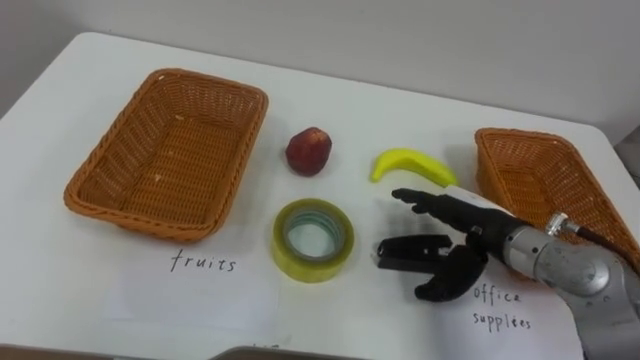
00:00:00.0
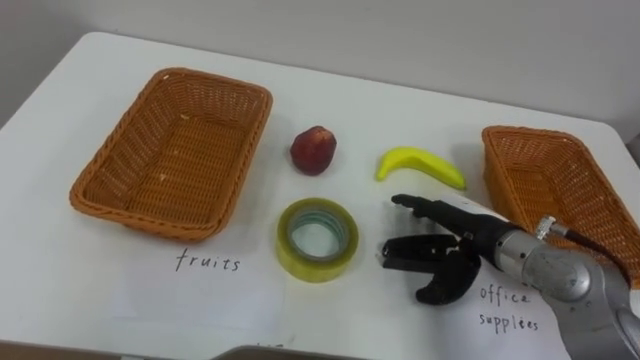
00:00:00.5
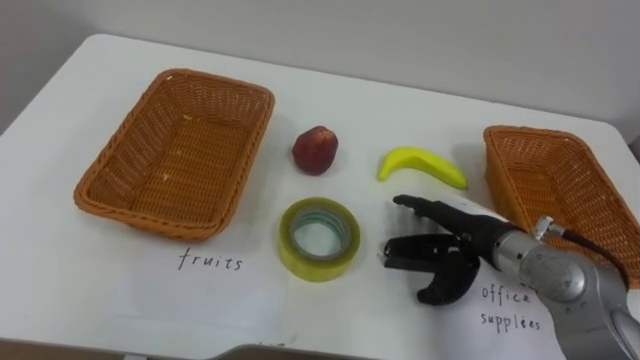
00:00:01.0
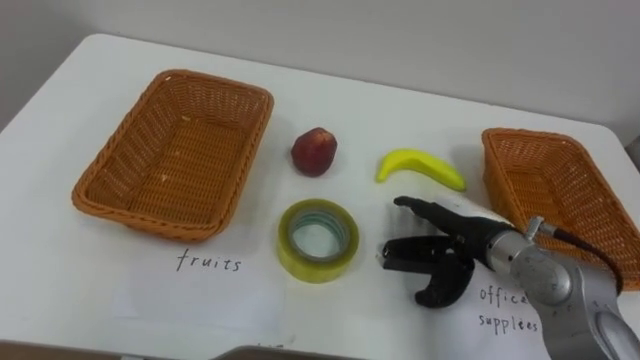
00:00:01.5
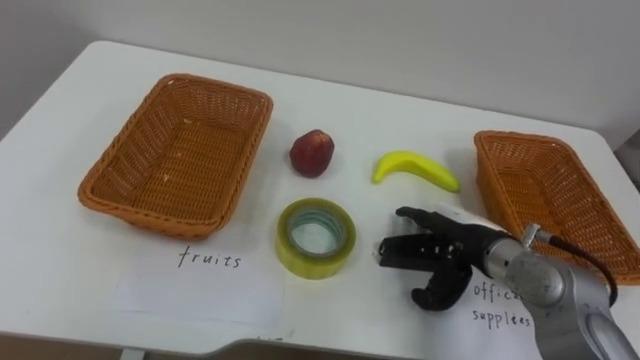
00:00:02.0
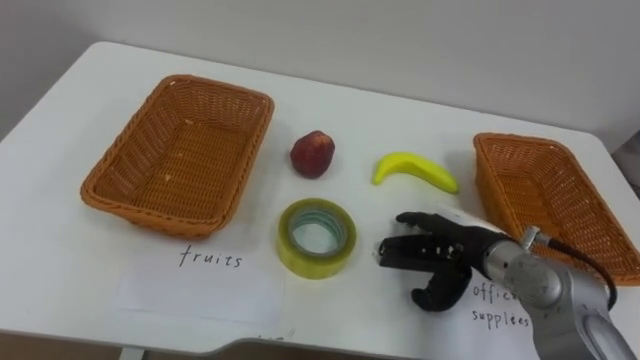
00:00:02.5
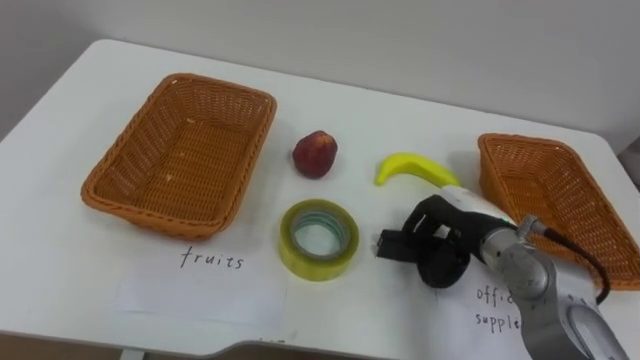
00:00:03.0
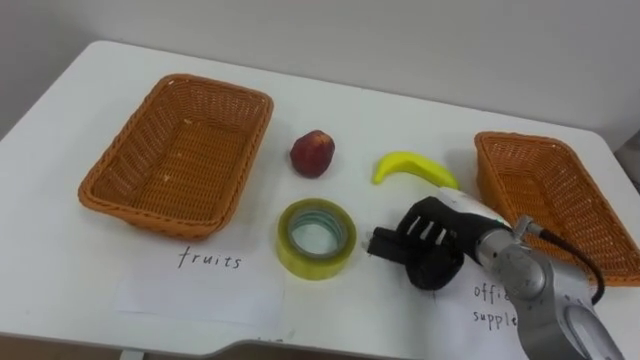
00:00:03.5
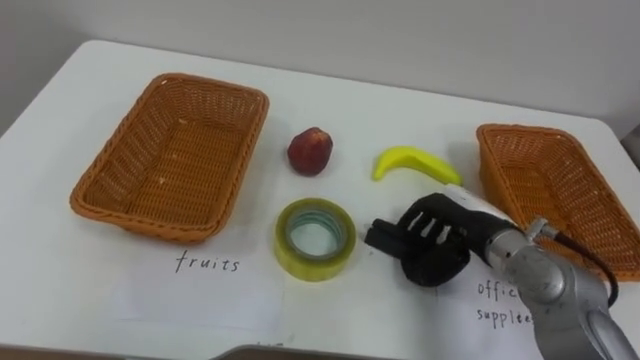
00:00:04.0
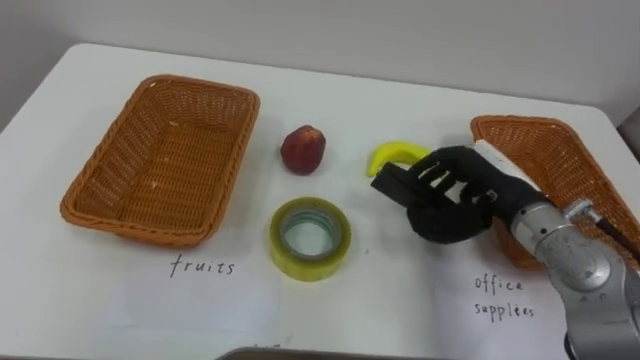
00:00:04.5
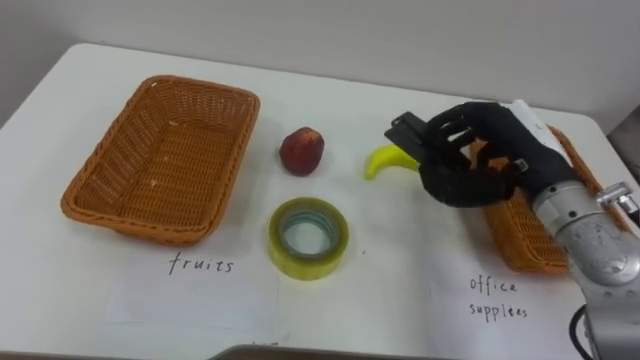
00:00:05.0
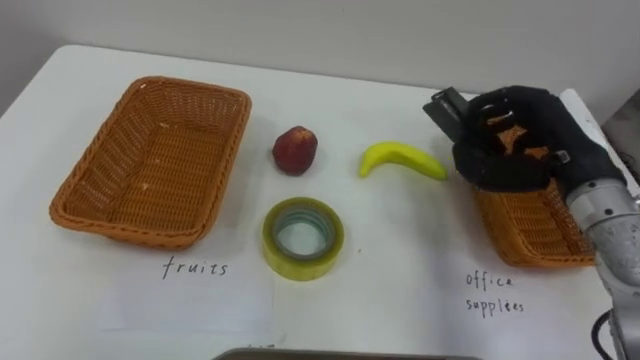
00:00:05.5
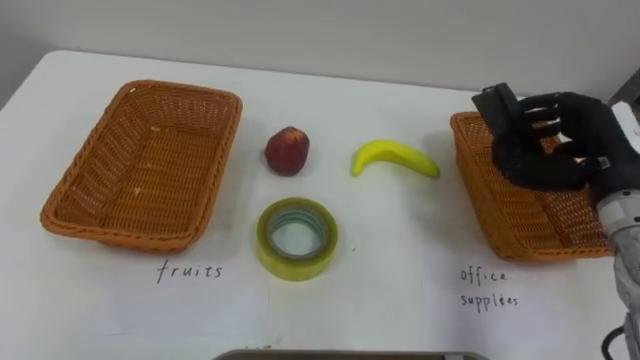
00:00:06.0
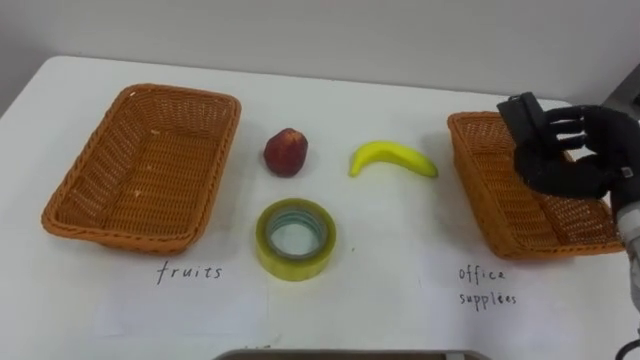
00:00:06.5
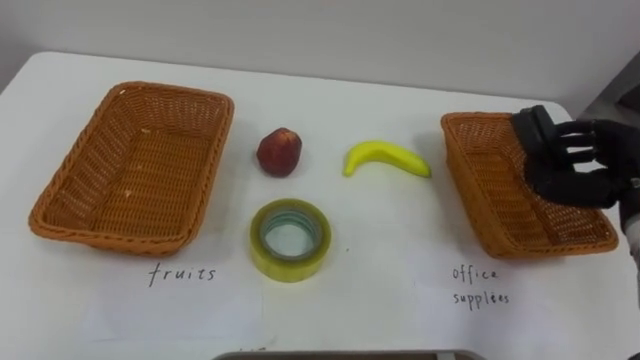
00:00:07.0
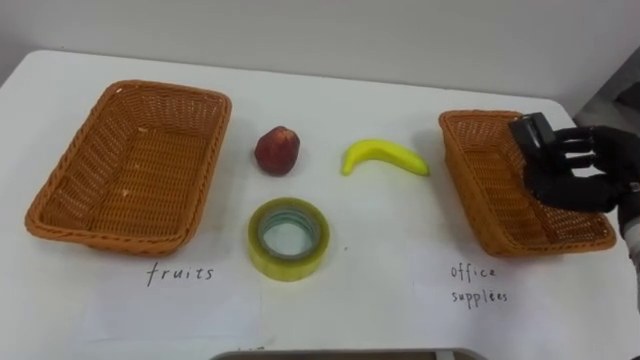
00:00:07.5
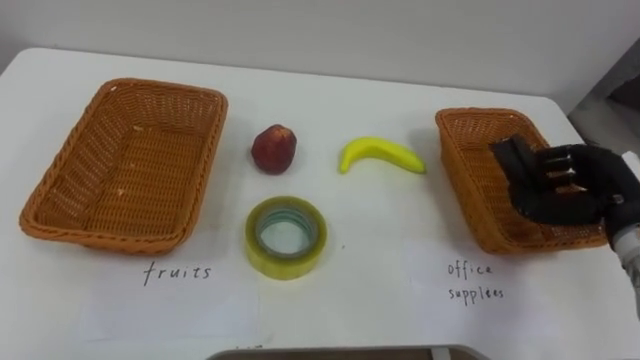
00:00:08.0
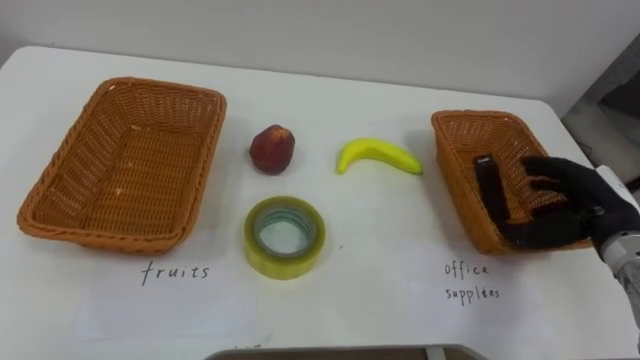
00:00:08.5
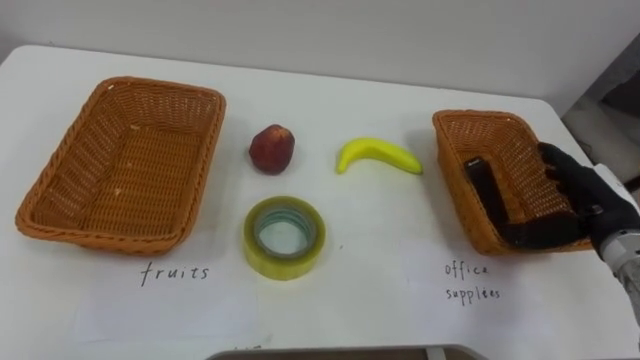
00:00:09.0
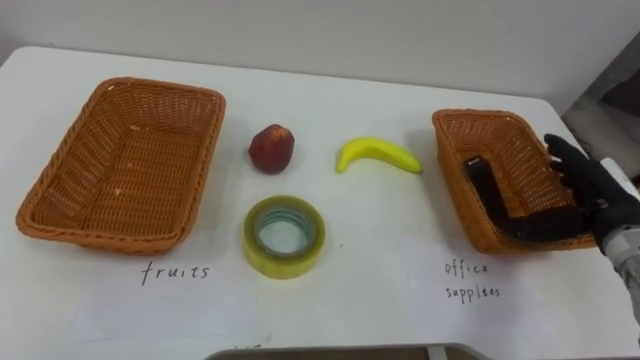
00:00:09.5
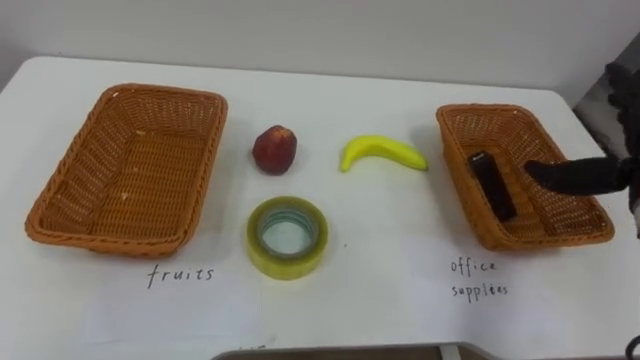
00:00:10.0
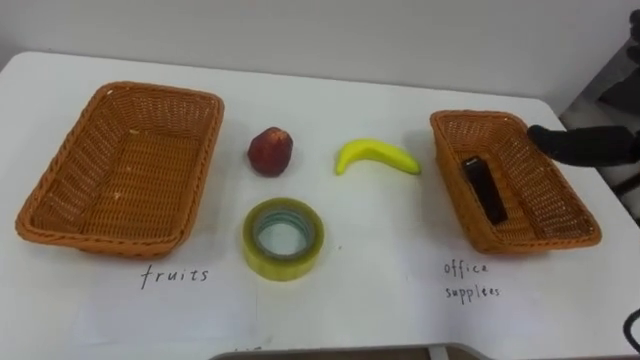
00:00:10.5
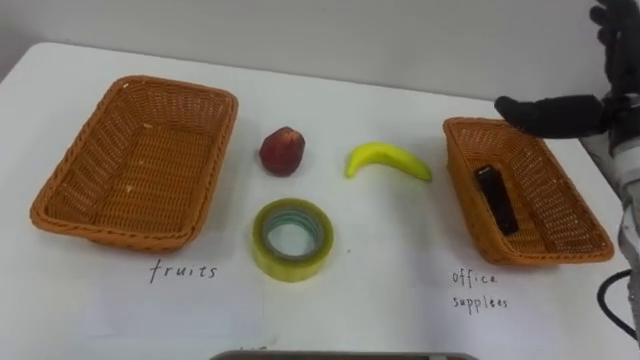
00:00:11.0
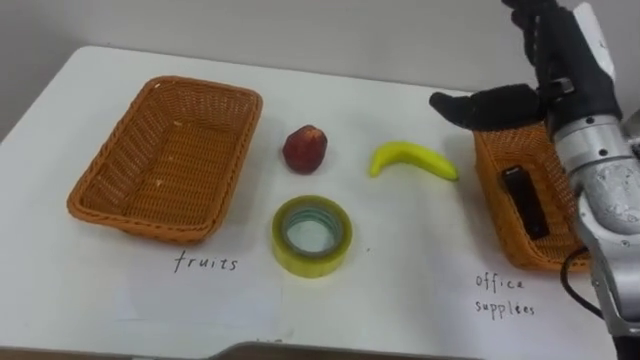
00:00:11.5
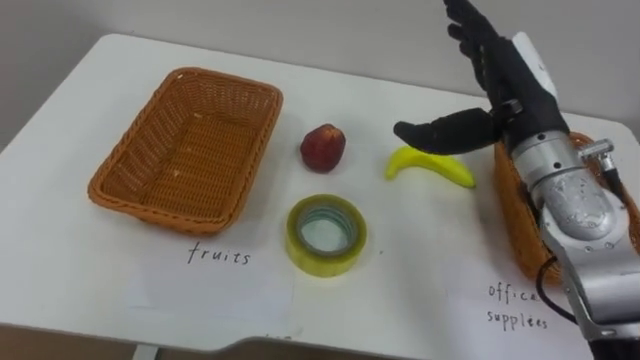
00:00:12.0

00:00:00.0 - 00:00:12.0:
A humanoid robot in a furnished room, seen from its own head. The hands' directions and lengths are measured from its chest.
Task of the whole recording: Separate the items on the table and place them into the two baskets.
00:00:02.0 - 00:00:04.0: The right hand closes.
00:00:04.0 - 00:00:06.0: The right hand goes approximately 15 cm to the right and upward.
00:00:06.0 - 00:00:08.0: The right hand moves downward, some 5 cm.

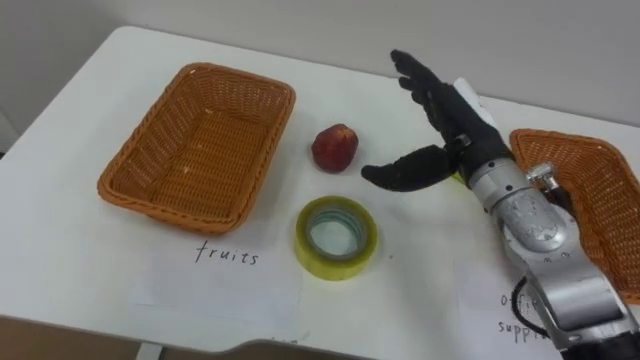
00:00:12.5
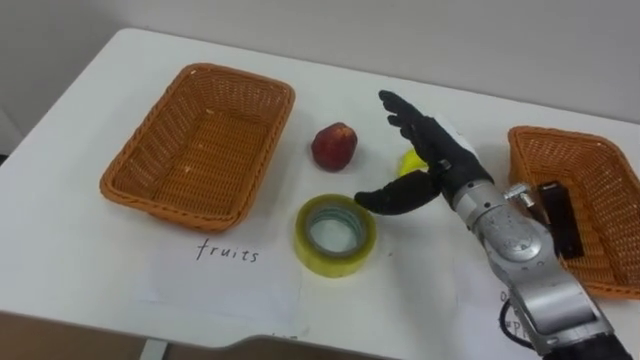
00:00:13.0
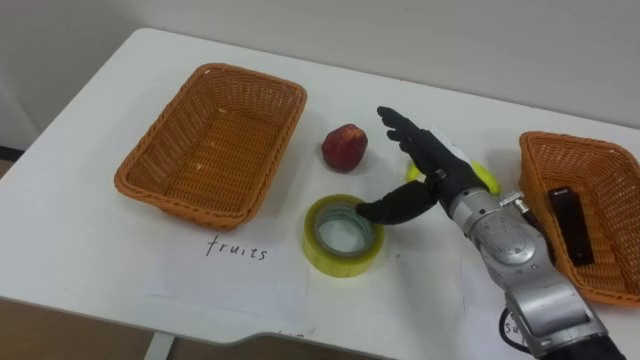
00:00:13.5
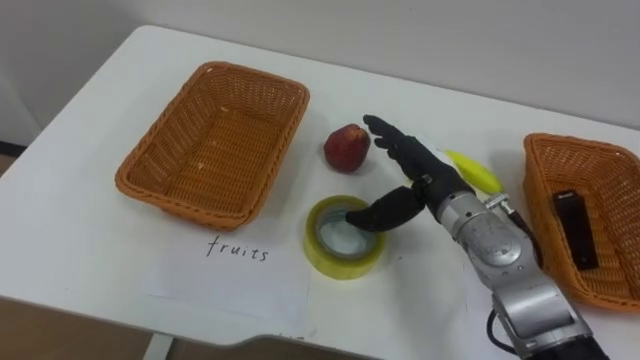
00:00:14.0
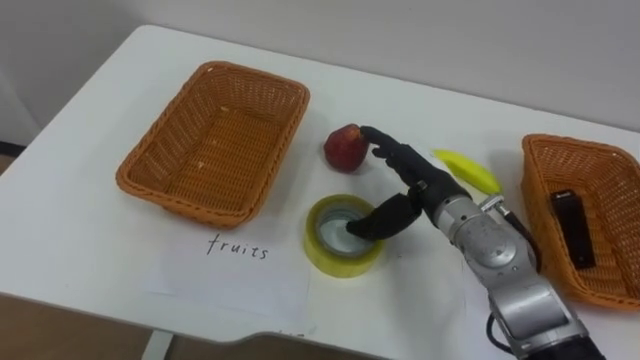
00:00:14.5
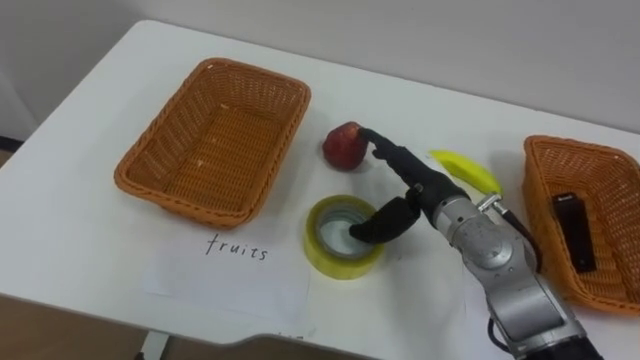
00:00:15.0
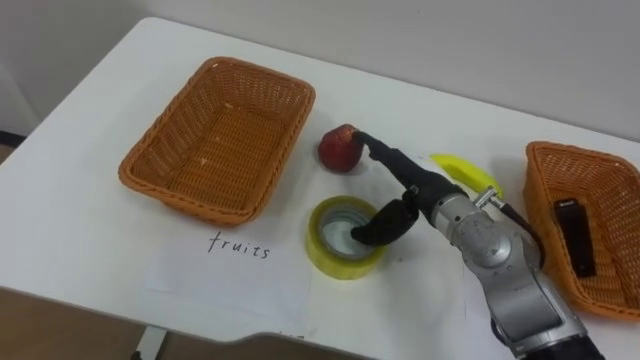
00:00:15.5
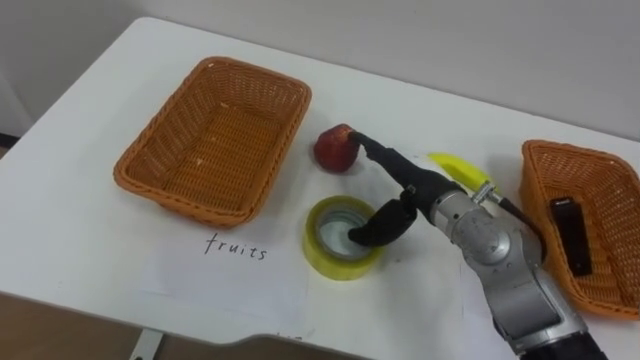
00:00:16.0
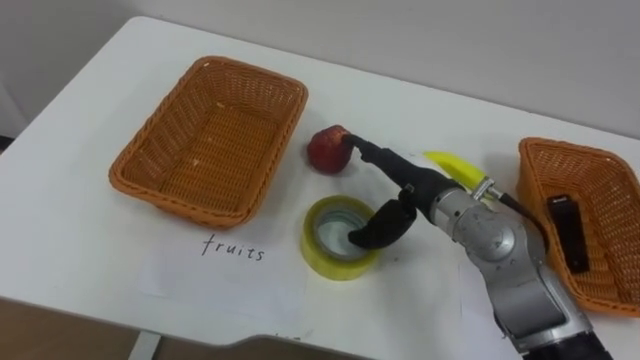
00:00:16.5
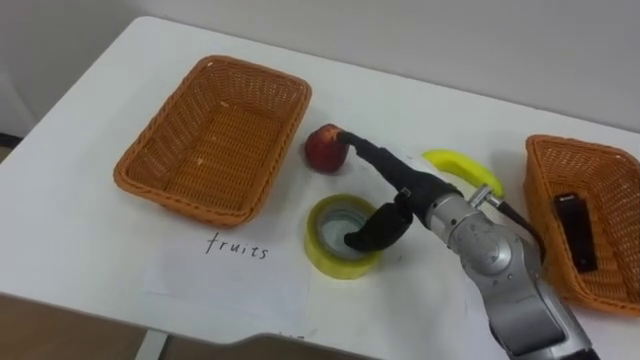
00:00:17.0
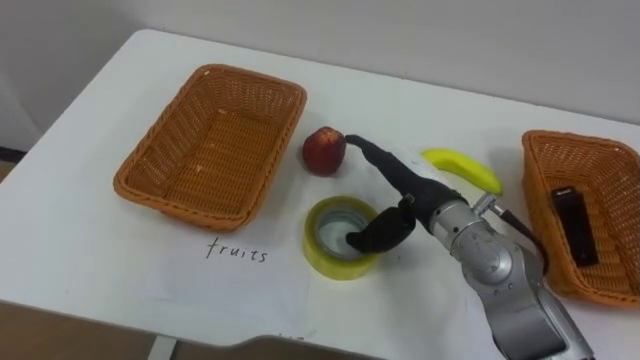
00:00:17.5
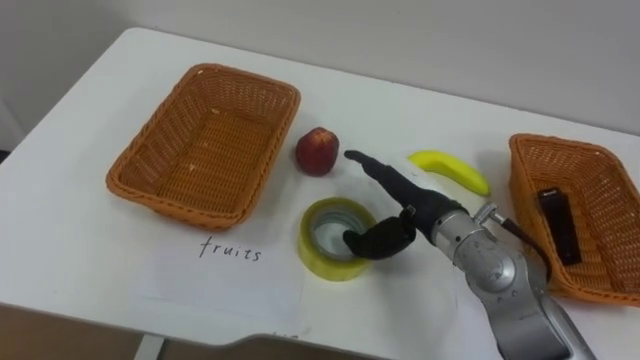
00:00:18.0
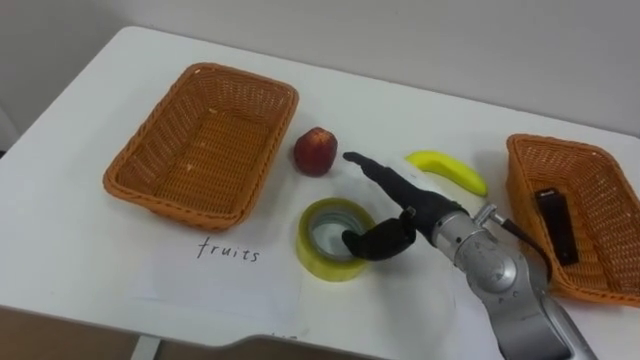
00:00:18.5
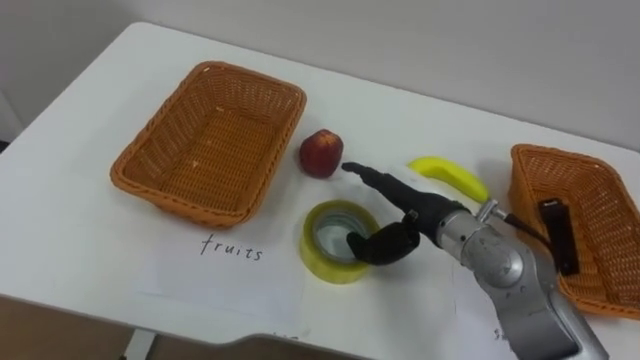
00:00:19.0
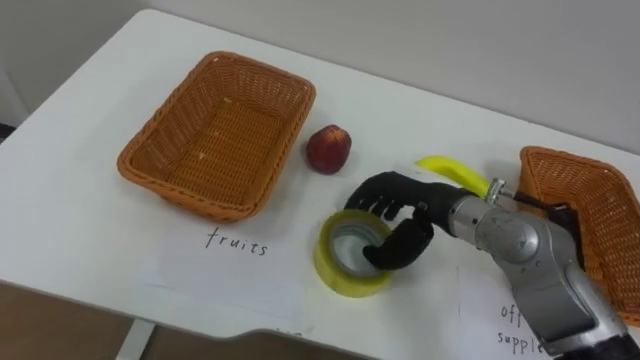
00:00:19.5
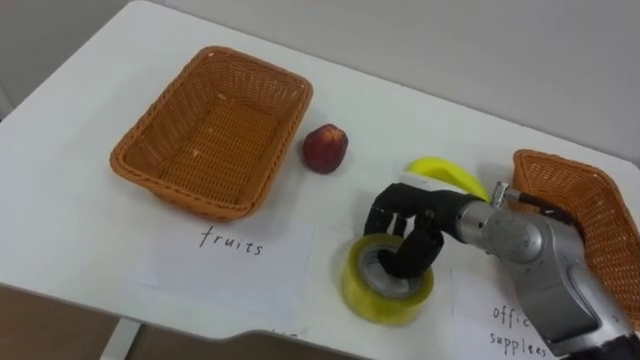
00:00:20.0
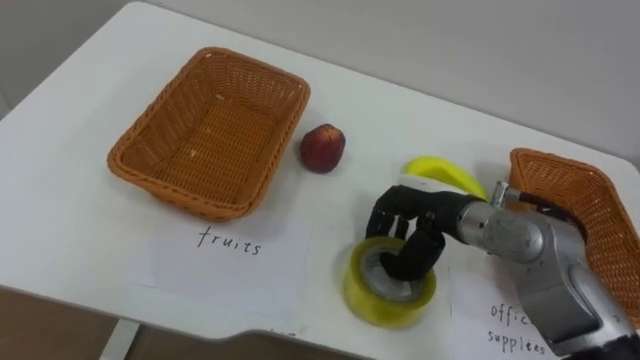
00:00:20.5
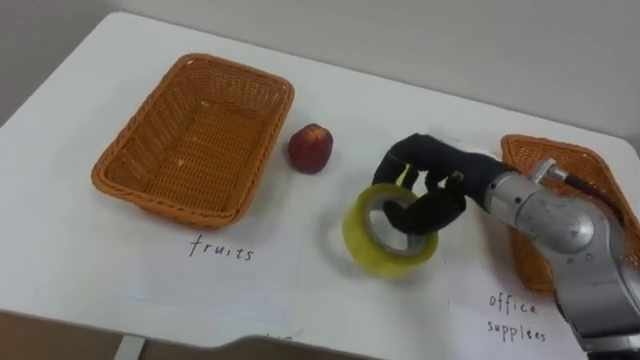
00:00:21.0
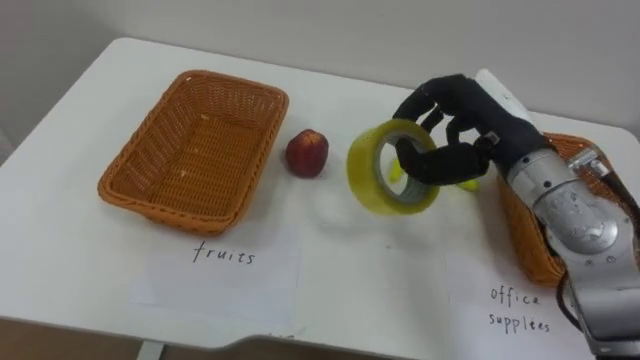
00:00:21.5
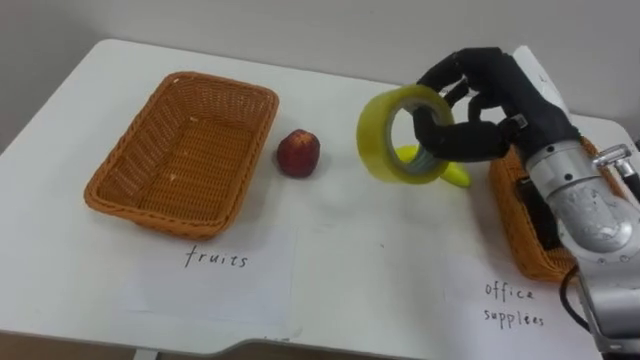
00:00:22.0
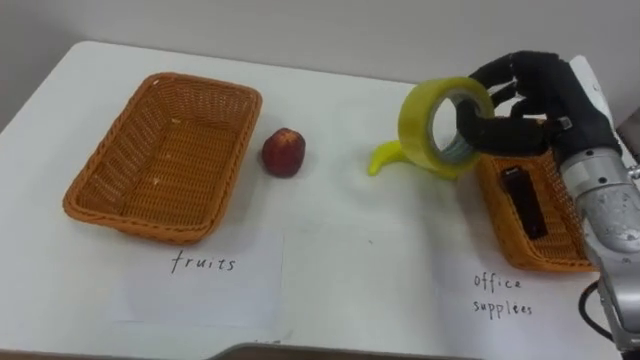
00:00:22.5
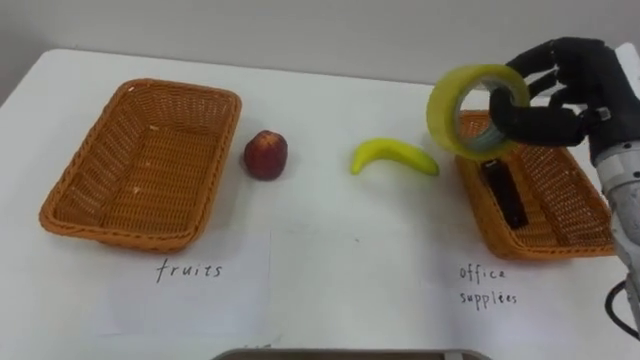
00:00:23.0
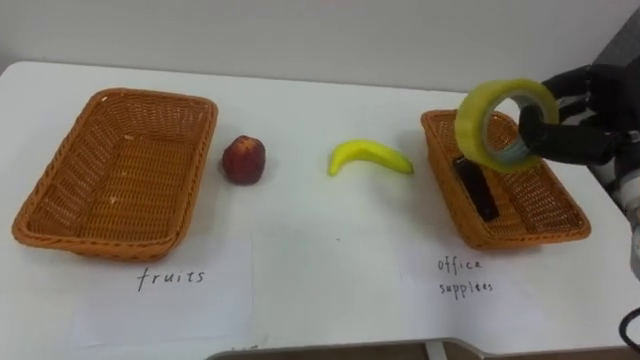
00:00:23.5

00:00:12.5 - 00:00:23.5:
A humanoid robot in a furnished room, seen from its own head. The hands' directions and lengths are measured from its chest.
Task of the whole recording: Separate the items on the table and place them into the two baskets.
00:00:12.5 - 00:00:14.5: The right hand travels downward by about 10 cm.
00:00:18.0 - 00:00:20.0: The right hand closes its fingers.
00:00:20.0 - 00:00:21.5: The right hand travels upward by approximately 10 cm.
00:00:21.5 - 00:00:23.5: The right hand is displaced to the right by approximately 15 cm.
